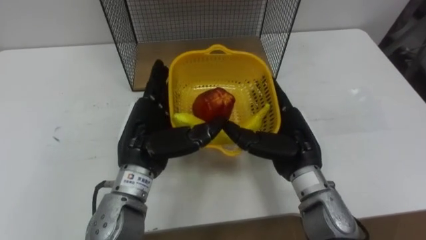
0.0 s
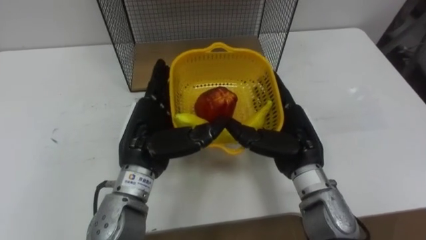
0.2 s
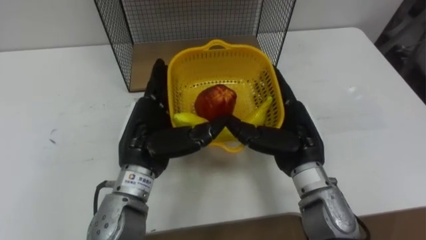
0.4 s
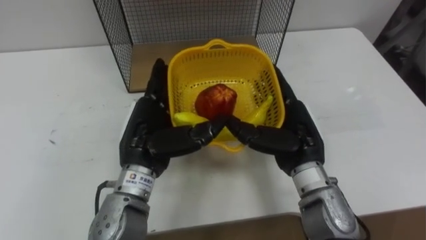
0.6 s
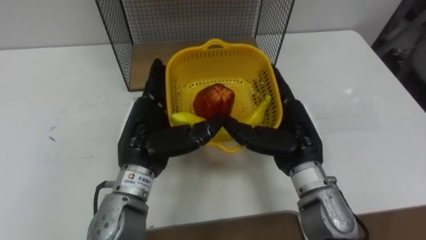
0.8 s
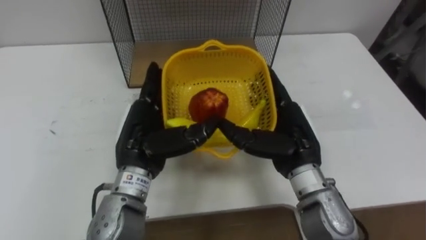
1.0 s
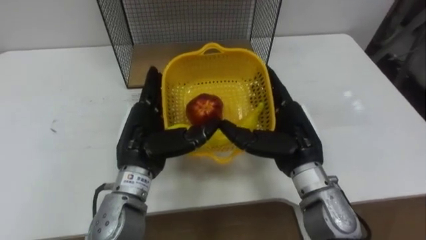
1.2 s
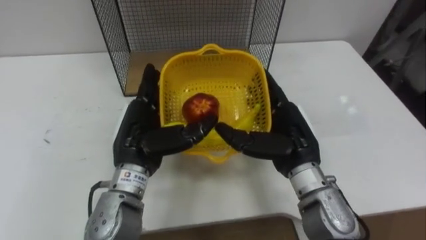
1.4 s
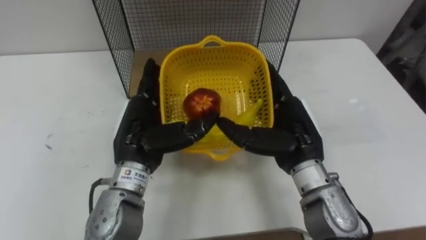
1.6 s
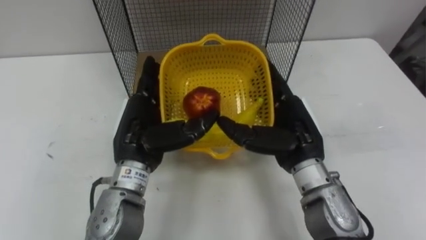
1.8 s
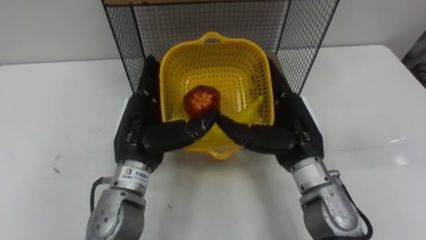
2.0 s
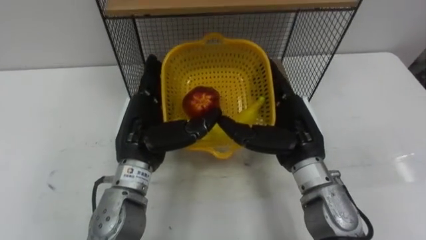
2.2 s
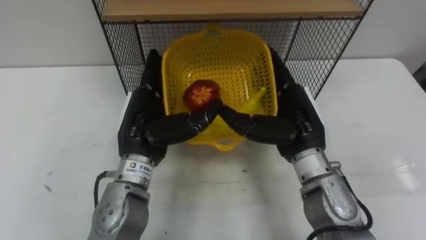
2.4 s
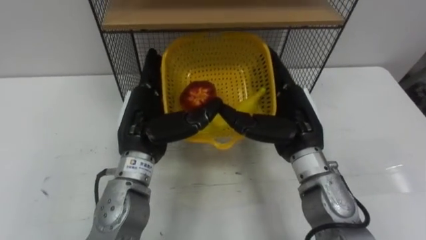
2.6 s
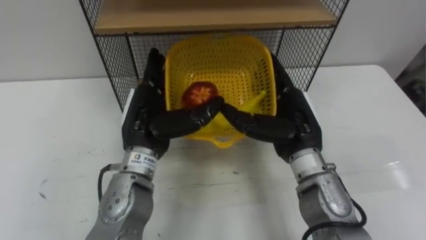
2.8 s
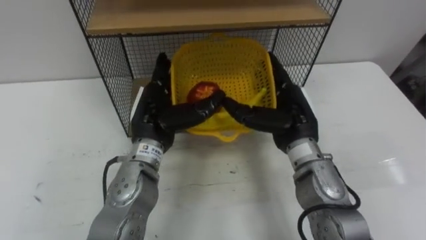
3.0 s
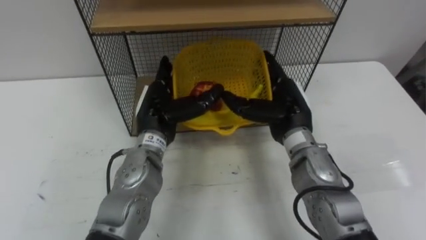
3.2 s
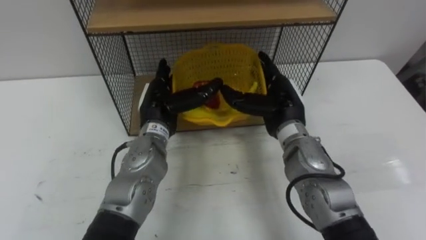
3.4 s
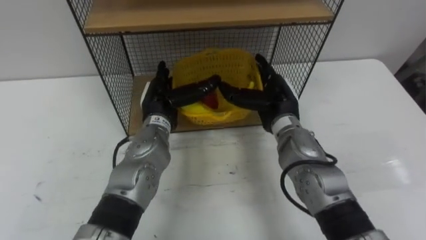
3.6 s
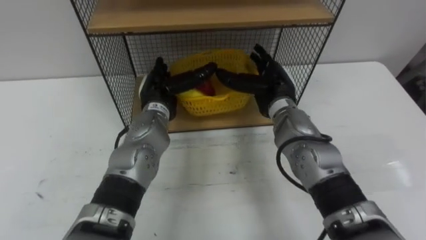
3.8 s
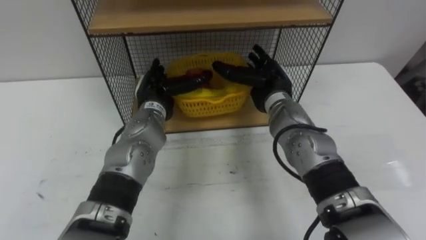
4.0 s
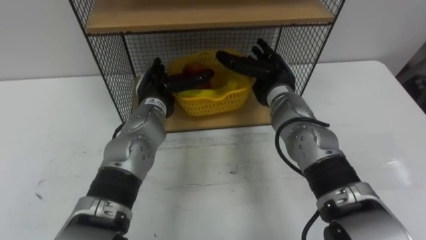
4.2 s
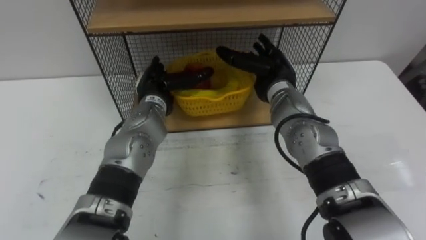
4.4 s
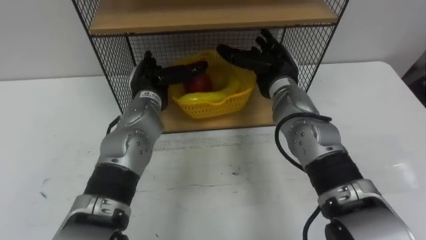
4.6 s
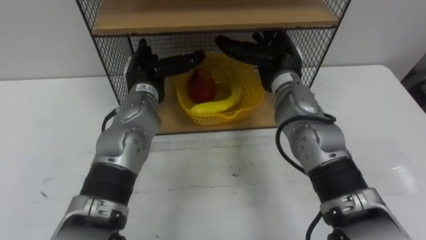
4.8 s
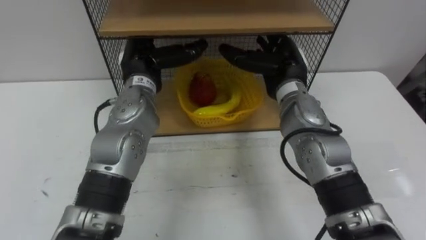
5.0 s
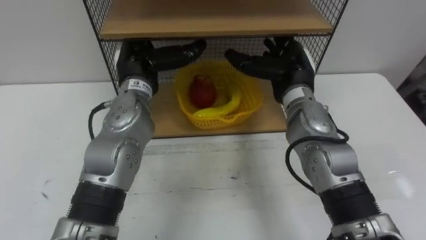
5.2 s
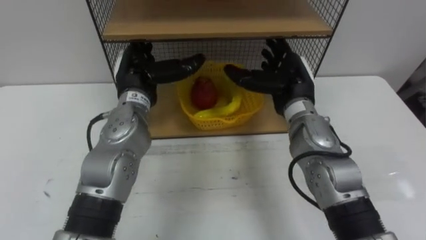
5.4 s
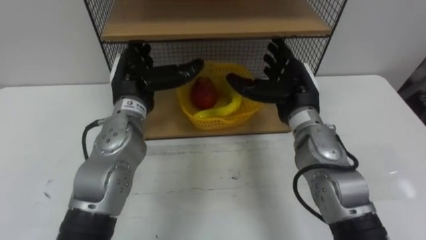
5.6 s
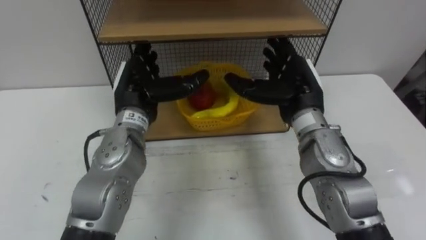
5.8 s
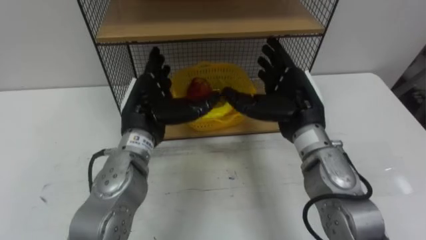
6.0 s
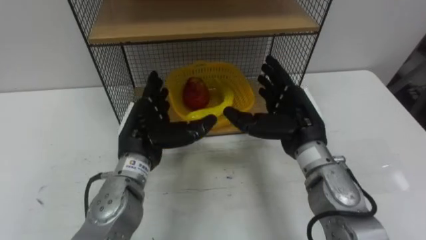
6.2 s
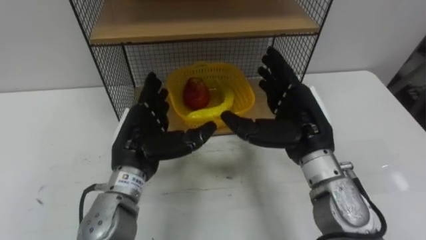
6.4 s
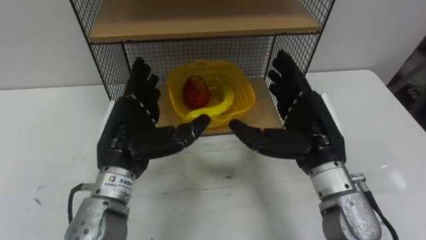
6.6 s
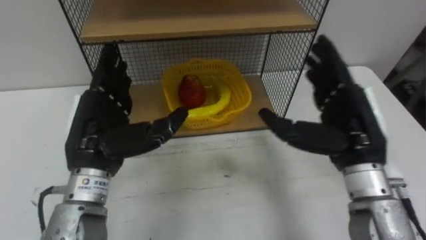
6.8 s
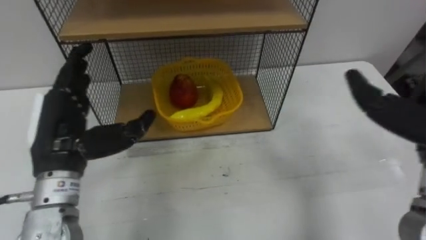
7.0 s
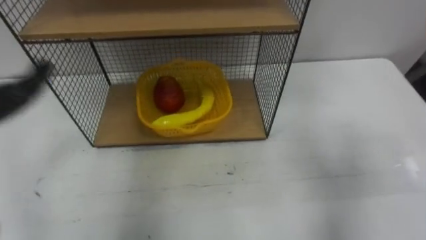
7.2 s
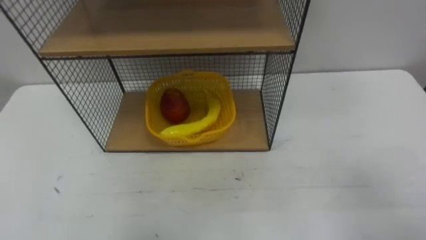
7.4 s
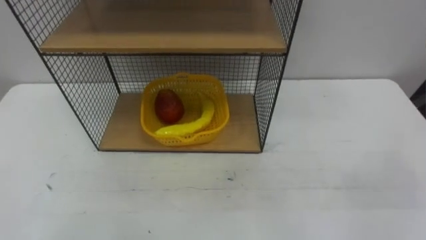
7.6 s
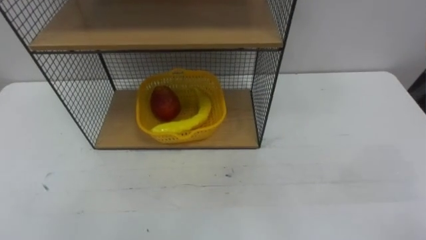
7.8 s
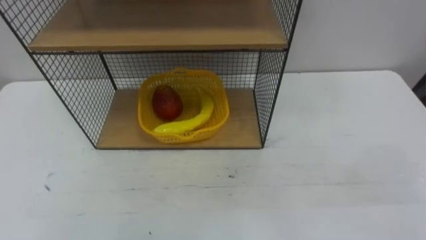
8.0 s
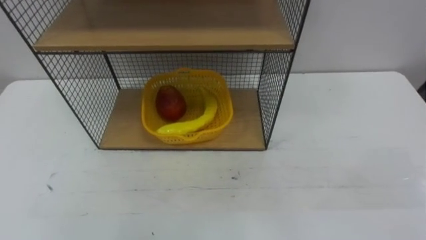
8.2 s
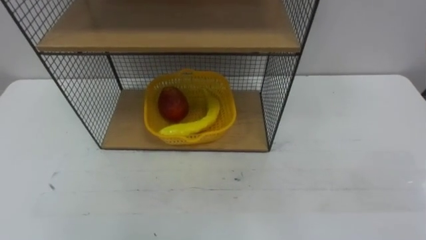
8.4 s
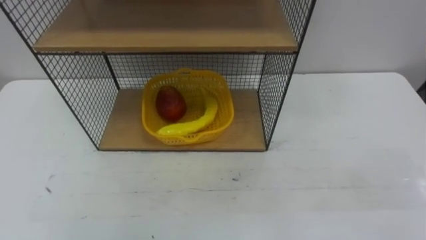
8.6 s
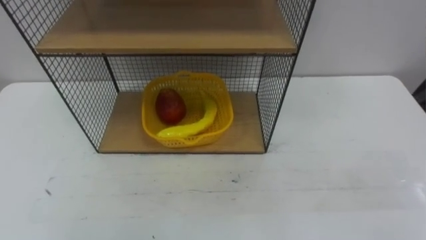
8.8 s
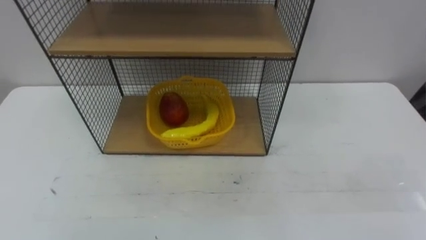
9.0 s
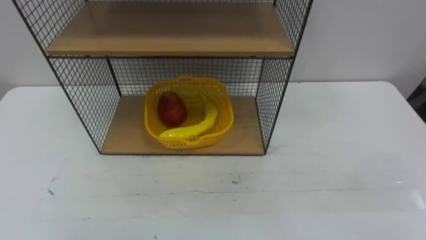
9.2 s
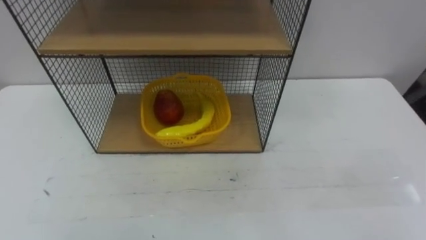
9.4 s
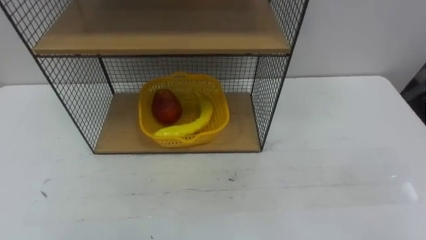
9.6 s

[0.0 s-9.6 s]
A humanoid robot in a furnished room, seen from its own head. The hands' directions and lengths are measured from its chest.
Task of the whole recording: Put the fruit on the table into the basket, then place the basket on the shelf.
1.6 to 3.2 s: The hands both shift forward by about 5 cm.
3.2 to 4.8 s: The hands both shift forward by some 5 cm.
4.8 to 6.4 s: The two hands go approximately 15 cm backward.

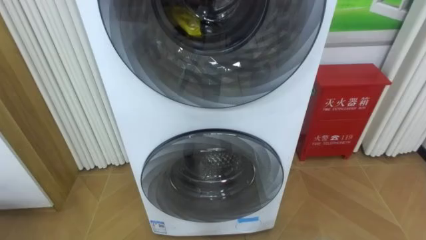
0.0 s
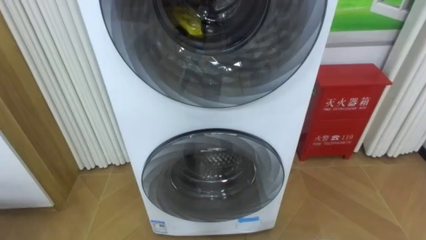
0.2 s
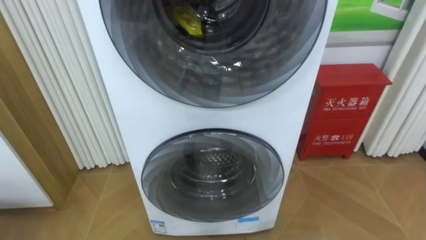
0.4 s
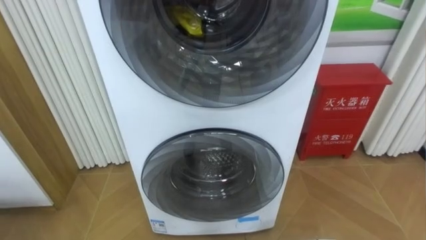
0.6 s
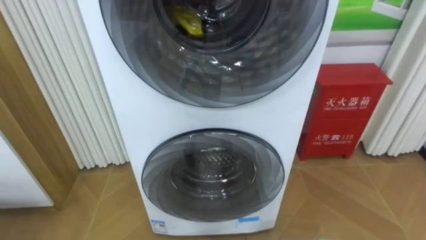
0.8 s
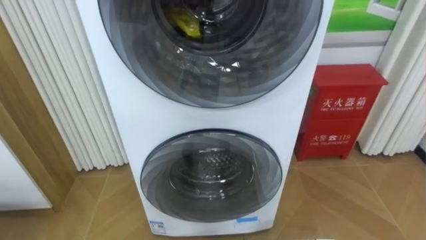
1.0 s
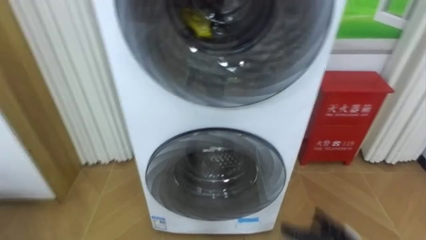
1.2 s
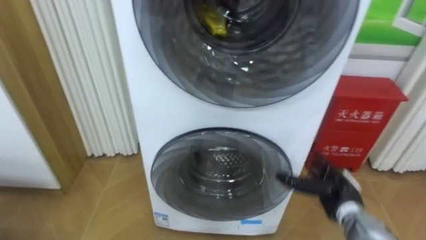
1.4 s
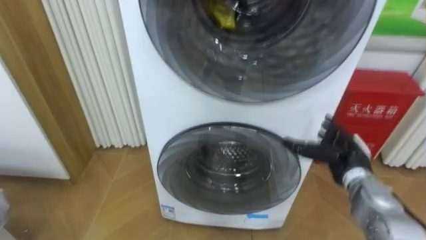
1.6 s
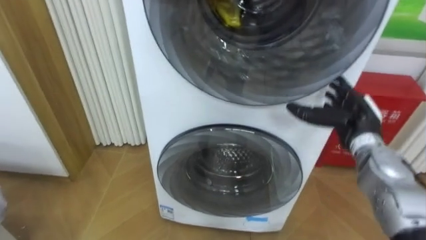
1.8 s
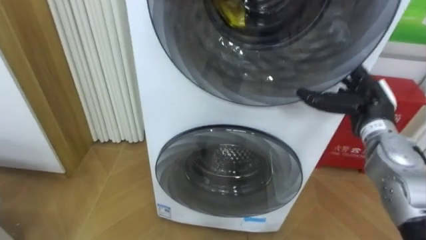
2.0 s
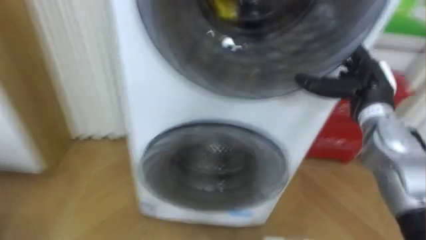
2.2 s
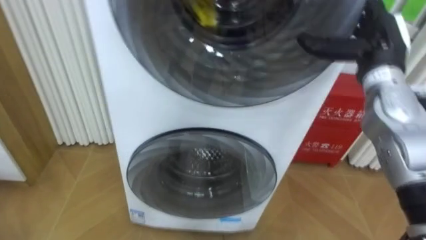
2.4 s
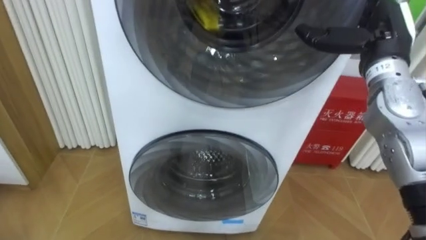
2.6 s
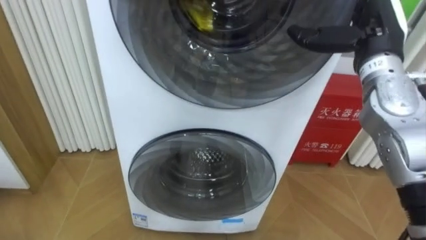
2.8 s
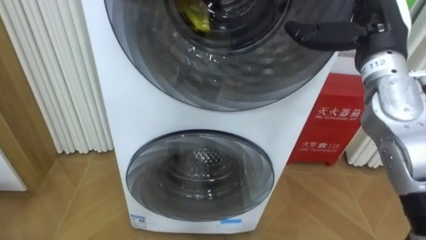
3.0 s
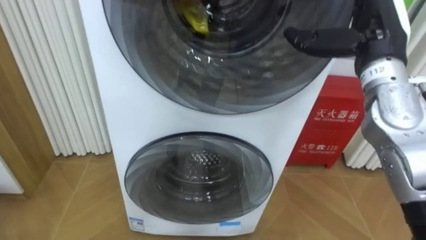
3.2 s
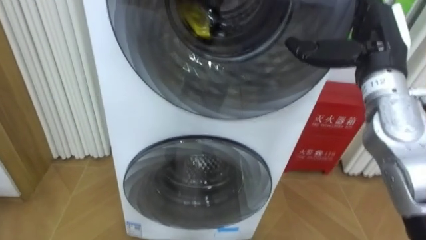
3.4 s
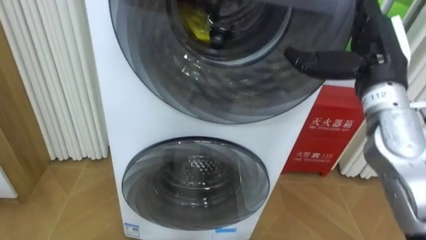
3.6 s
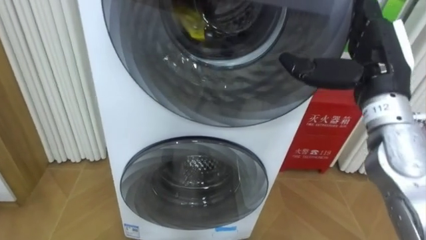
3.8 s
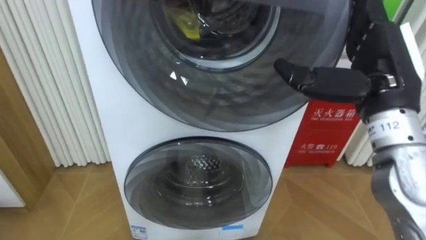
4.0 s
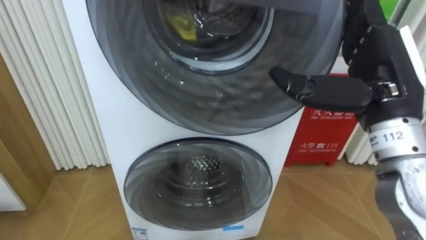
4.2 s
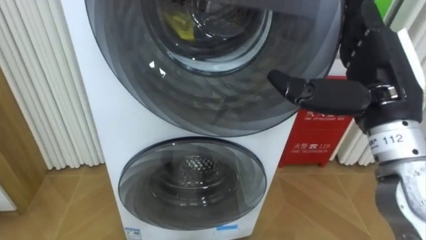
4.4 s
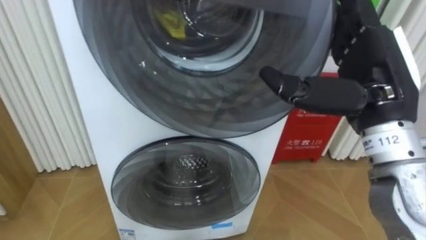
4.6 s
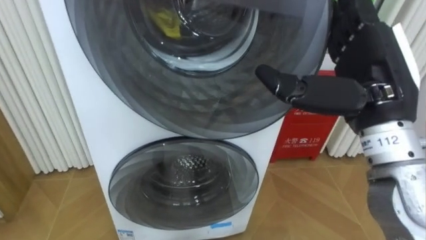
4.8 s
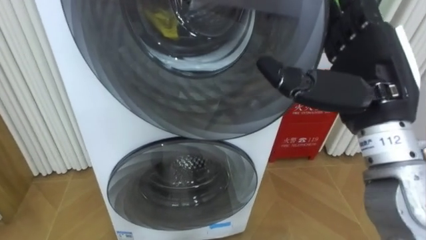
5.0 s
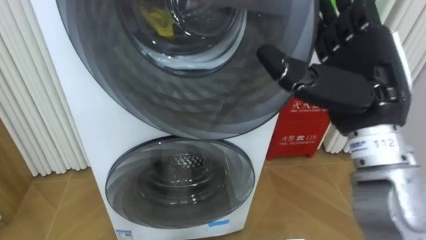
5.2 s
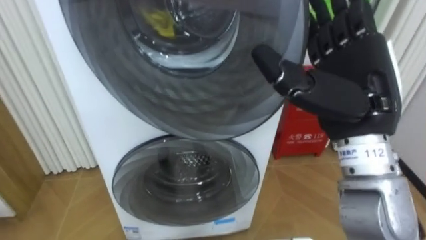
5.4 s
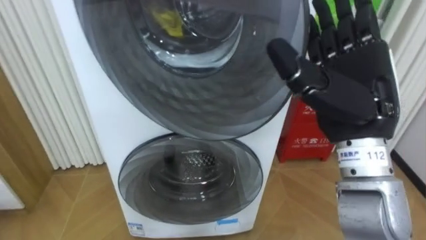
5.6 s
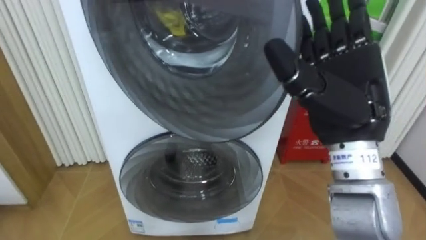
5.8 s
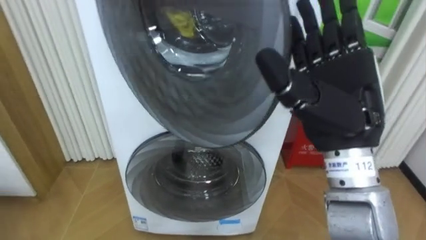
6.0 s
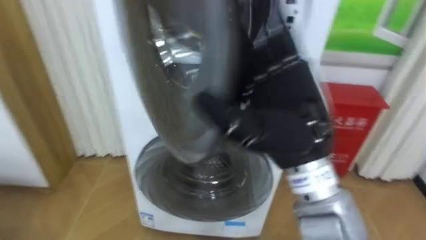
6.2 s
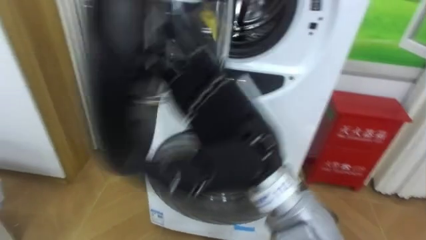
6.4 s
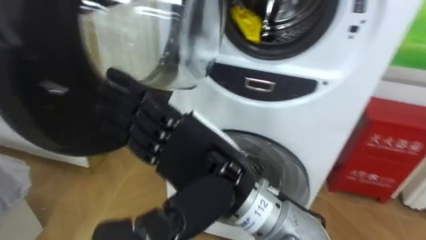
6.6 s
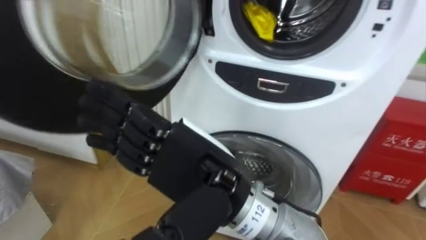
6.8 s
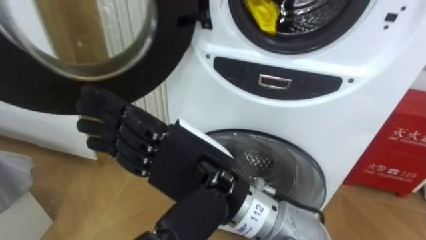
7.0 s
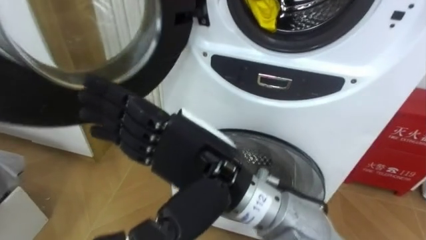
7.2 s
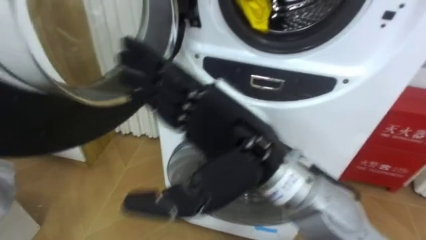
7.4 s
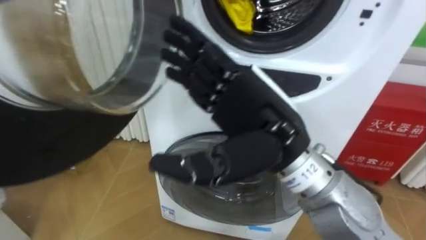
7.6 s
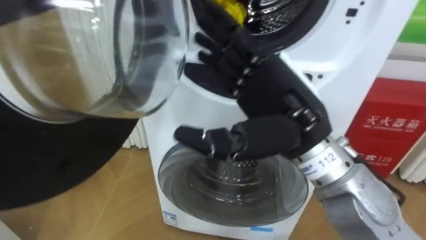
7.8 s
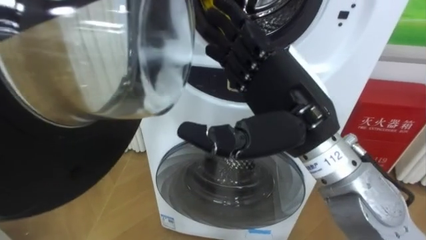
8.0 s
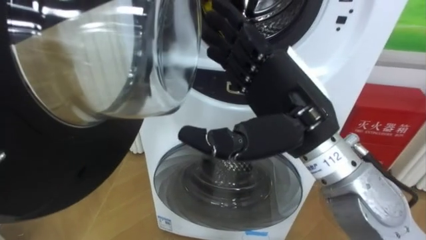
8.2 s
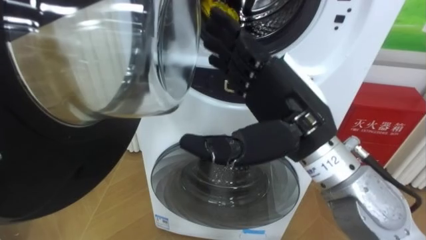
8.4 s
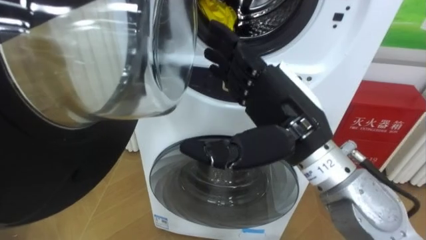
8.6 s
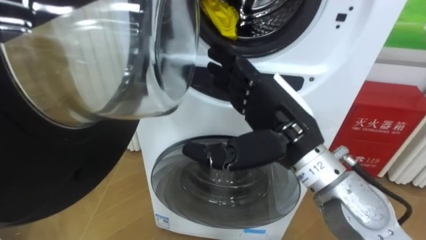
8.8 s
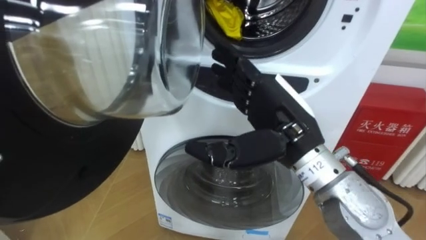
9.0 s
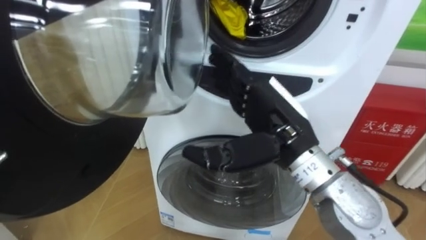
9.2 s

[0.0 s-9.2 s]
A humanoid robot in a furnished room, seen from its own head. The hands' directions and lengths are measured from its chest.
Task of the whole recording: Open the washing machine door, take out the yellow clothes, place them in the box on the right, and close the washing machine door.
1.6 to 3.0 s: The right hand shifts some 25 cm upward.
3.0 to 4.6 s: The right hand goes roughly 10 cm backward.
4.6 to 6.2 s: The right hand is displaced to the left by some 10 cm.
6.2 to 7.6 s: The right hand travels to the left and back again, some 10 cm each way.
7.6 to 9.2 s: The right hand moves about 5 cm.
